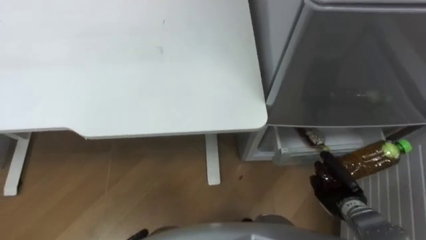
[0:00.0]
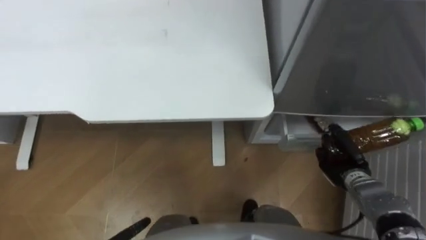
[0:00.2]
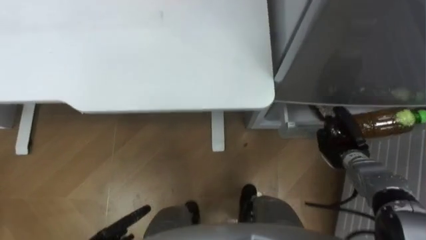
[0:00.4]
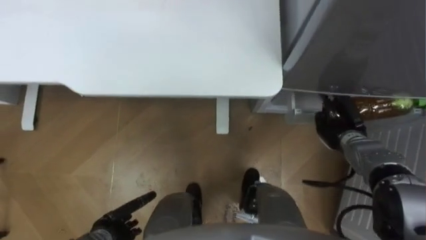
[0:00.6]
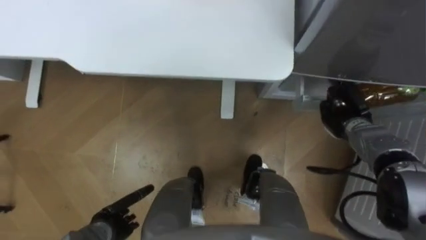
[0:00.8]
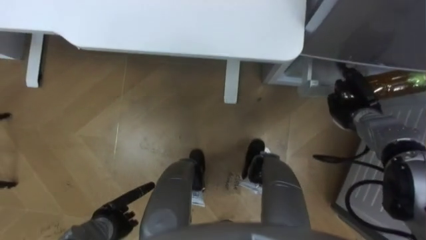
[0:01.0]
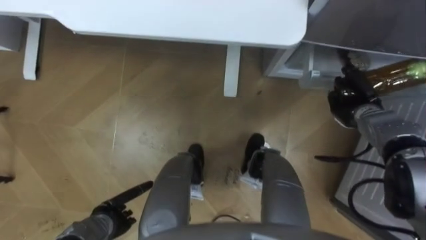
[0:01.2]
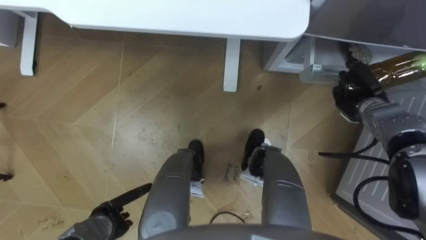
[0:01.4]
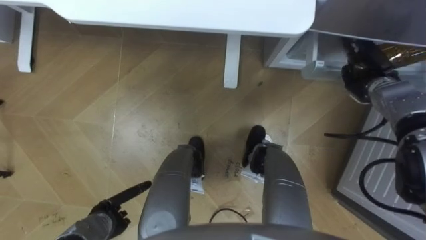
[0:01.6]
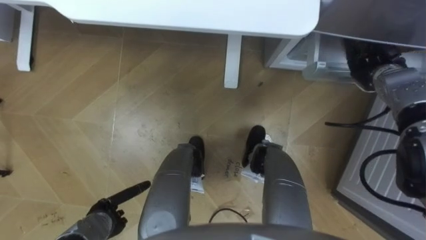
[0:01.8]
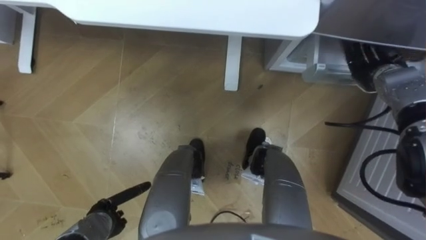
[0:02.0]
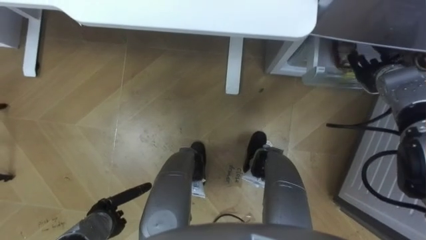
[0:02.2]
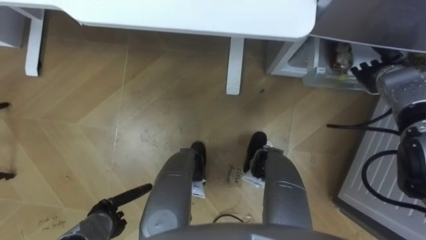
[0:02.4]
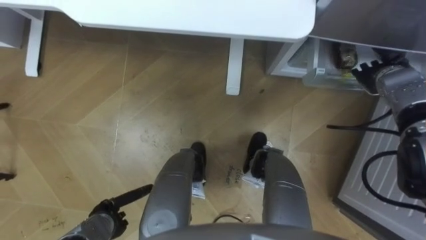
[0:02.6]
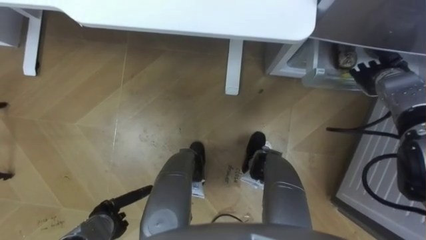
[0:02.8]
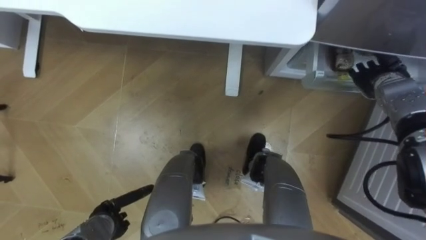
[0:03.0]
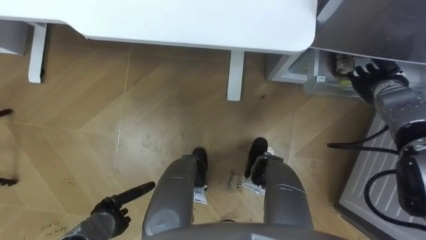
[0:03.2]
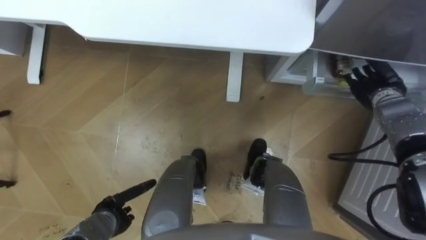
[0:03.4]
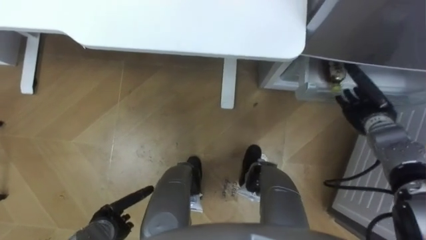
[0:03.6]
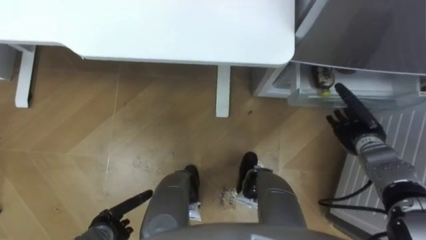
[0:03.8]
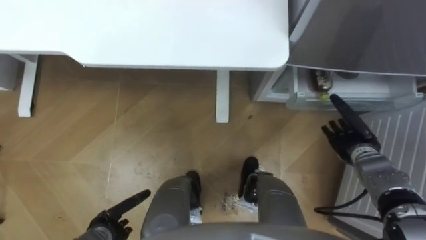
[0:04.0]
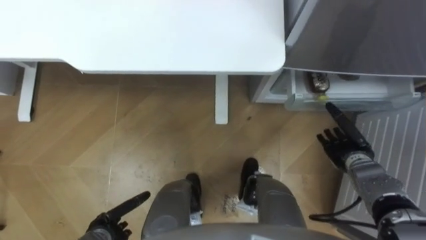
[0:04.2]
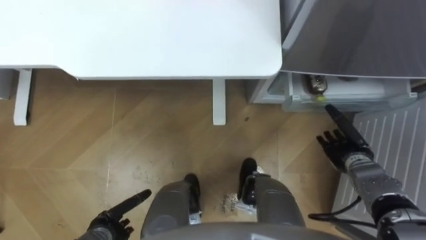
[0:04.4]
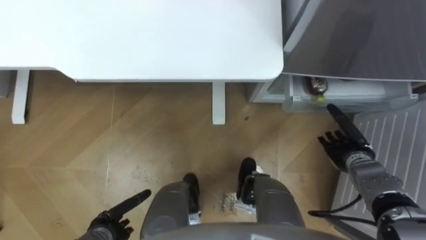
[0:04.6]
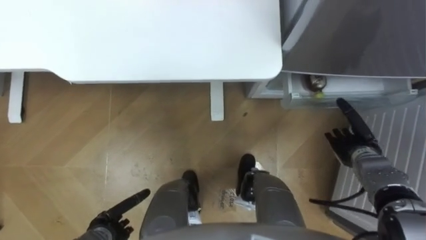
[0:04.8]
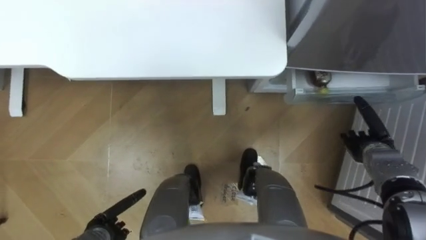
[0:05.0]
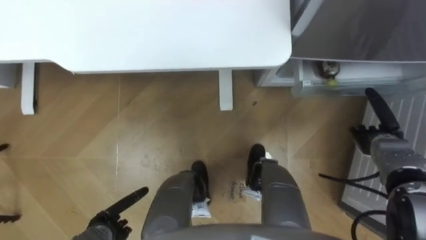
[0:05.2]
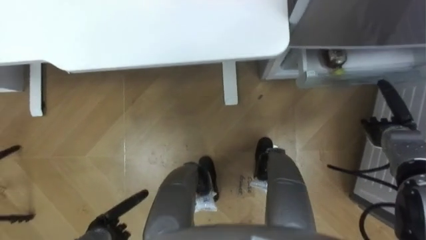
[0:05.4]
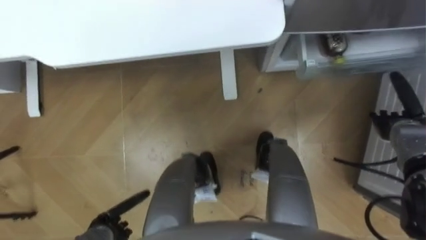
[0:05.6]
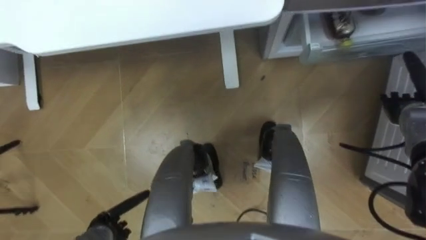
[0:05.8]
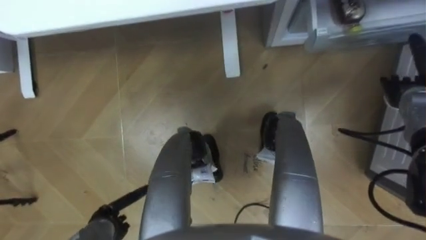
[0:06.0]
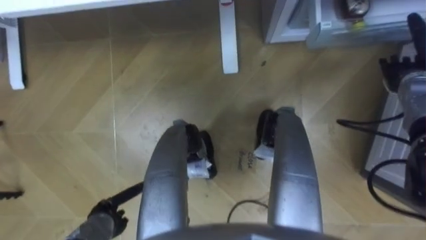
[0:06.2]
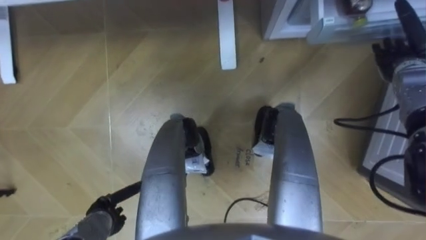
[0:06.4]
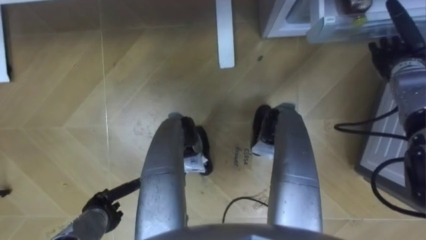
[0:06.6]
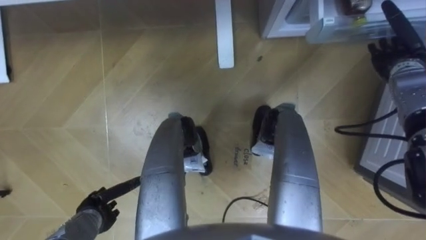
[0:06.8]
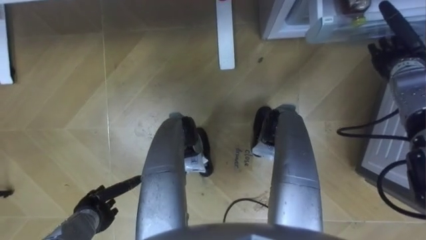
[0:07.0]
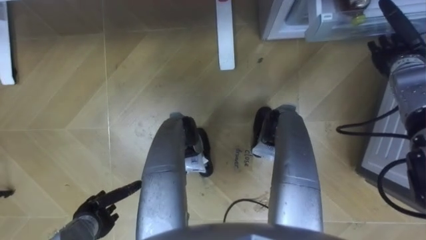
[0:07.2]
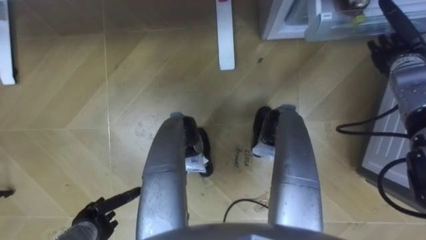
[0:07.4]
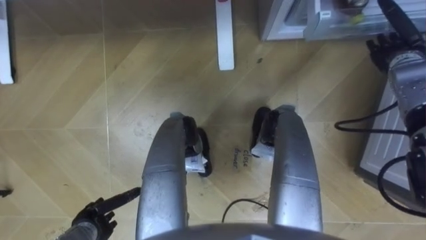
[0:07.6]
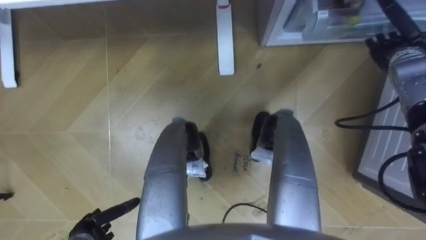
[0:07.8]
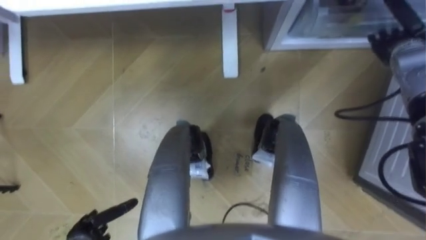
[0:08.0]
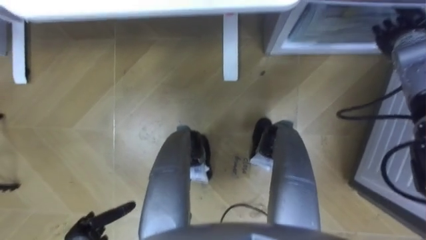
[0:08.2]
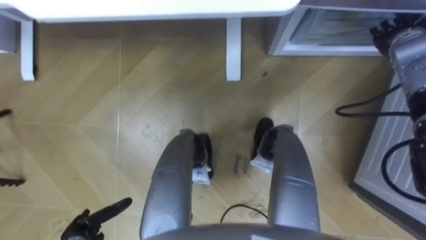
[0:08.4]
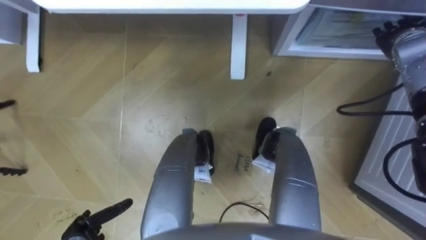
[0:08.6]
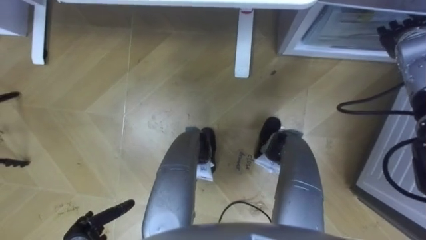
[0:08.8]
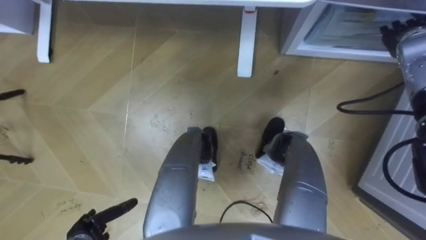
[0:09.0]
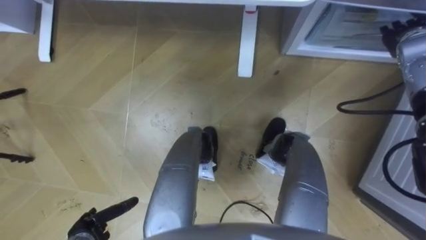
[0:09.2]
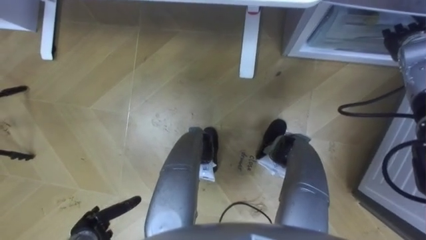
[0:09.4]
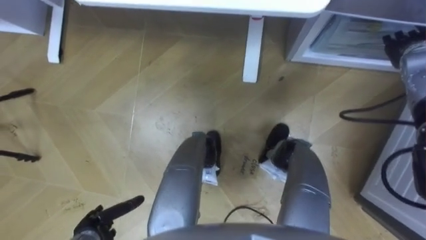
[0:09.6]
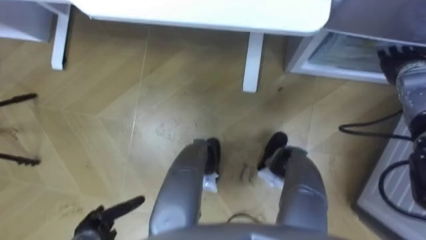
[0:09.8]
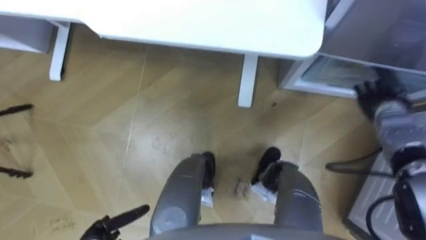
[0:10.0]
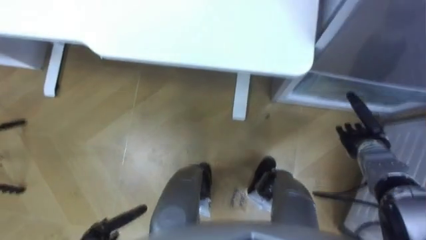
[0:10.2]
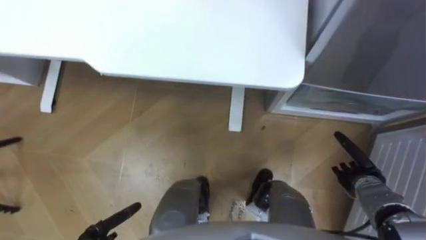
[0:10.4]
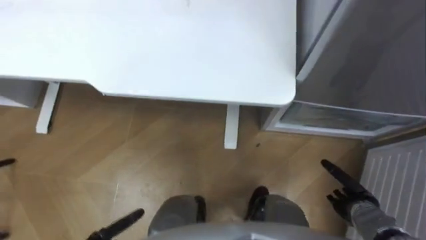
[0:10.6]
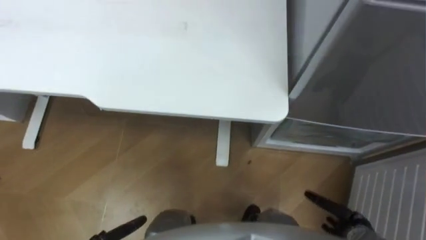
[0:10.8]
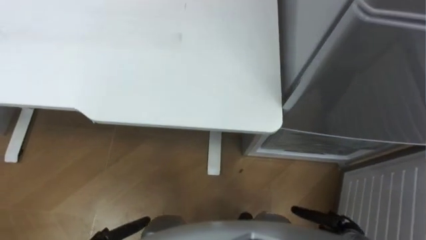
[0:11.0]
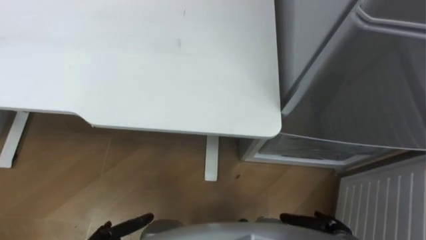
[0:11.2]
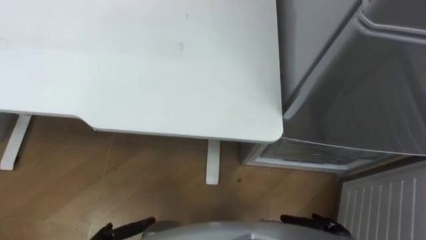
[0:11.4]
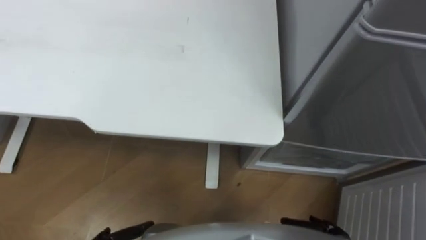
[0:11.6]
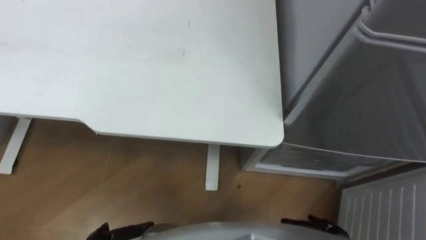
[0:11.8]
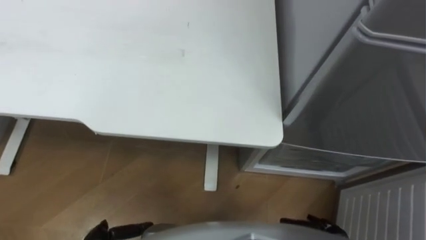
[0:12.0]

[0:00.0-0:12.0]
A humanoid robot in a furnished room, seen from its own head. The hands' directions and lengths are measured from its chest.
Task of the whole recording: Place the drink on the table on the bottom shelf of the refrigerator, then close the drawer and the refrigerator door.
0:00.0 to 0:01.6: The right hand travels forward and upward by some 25 cm.
0:01.6 to 0:03.0: The right hand opens up.
0:03.0 to 0:04.4: The right hand goes about 15 cm backward and downward.
0:04.4 to 0:06.0: The right hand goes approximately 15 cm upward, forward and to the right.
0:06.0 to 0:07.6: The right hand moves forward and upward, some 10 cm.
0:09.0 to 0:10.4: The right hand is displaced downward and backward by some 30 cm.

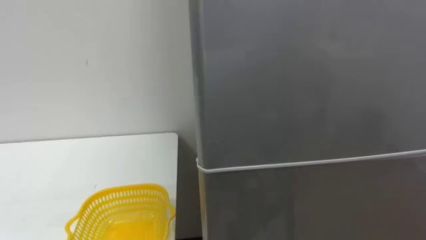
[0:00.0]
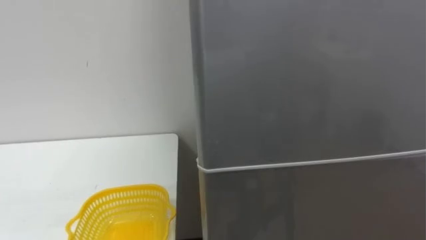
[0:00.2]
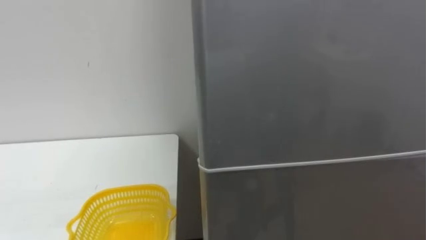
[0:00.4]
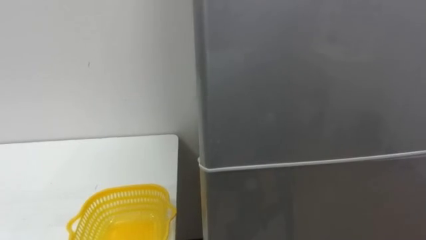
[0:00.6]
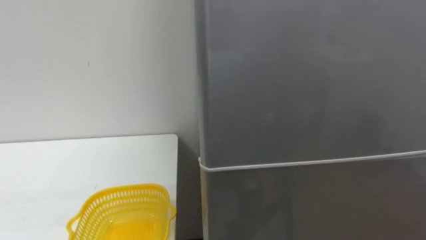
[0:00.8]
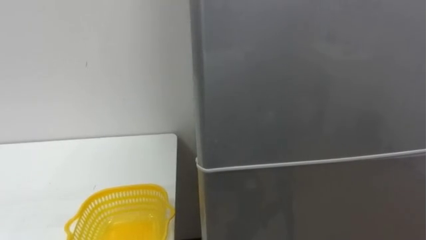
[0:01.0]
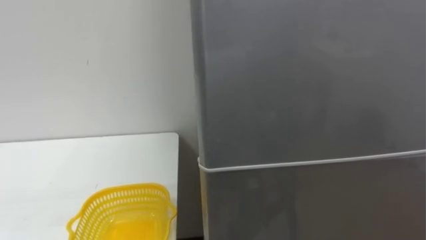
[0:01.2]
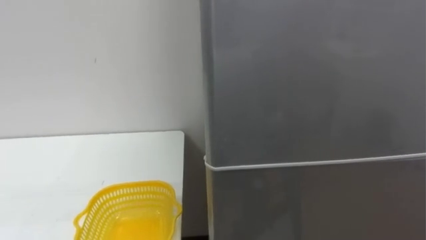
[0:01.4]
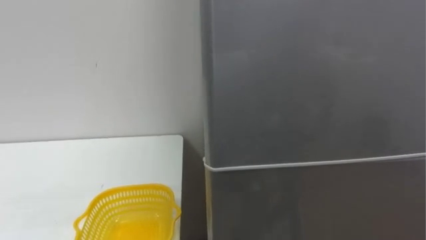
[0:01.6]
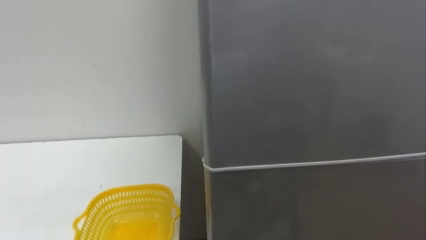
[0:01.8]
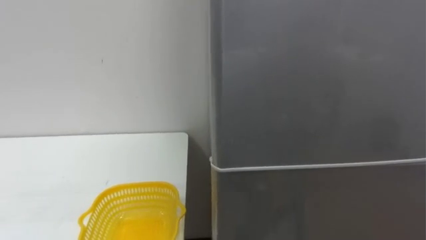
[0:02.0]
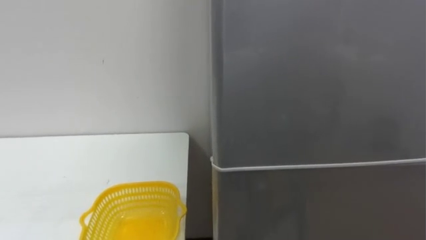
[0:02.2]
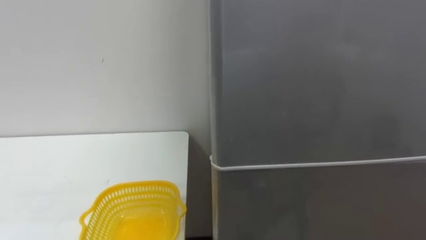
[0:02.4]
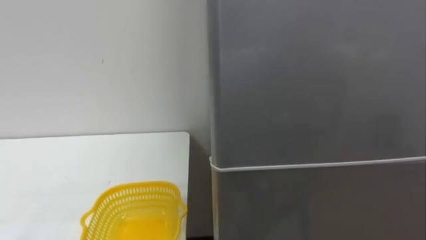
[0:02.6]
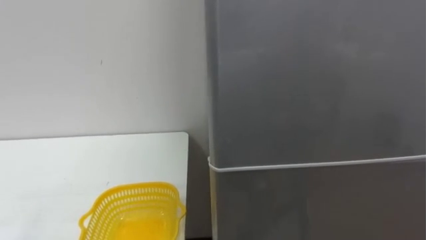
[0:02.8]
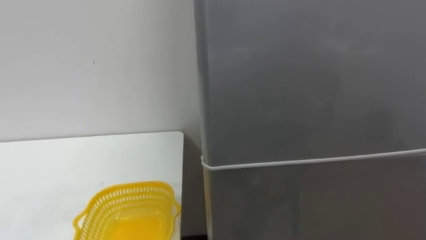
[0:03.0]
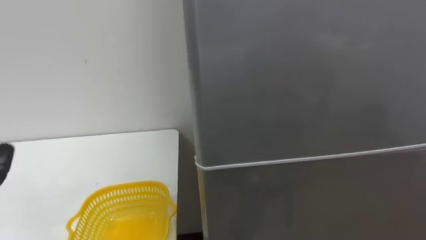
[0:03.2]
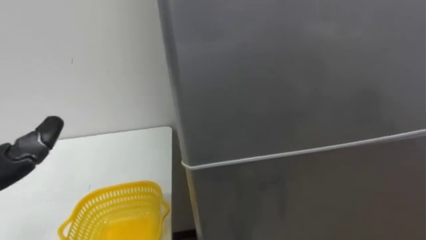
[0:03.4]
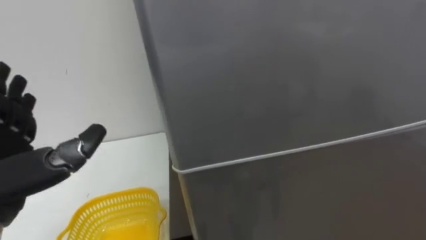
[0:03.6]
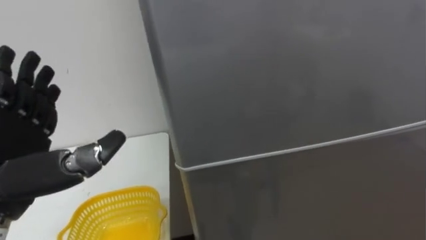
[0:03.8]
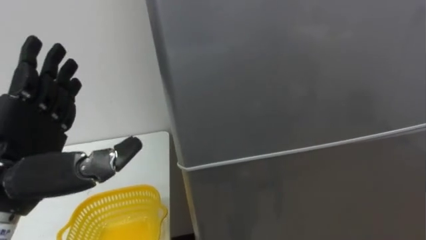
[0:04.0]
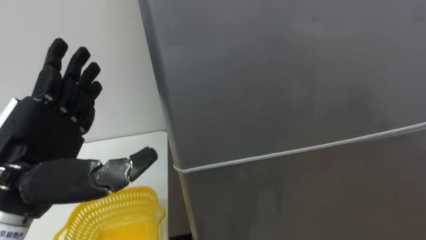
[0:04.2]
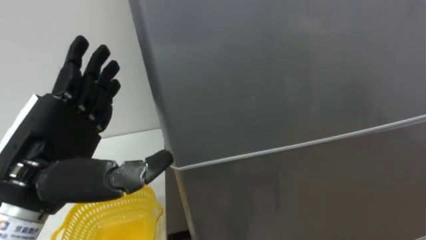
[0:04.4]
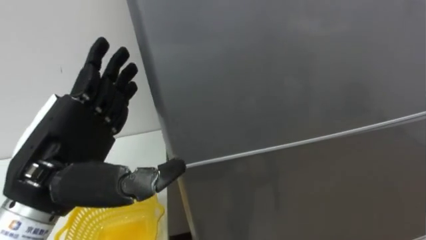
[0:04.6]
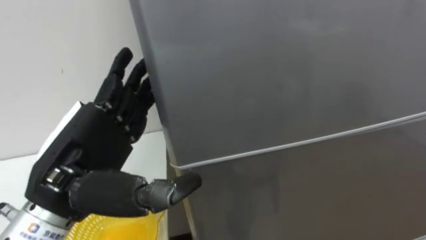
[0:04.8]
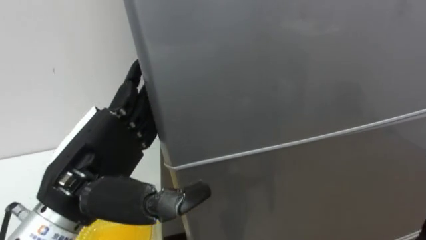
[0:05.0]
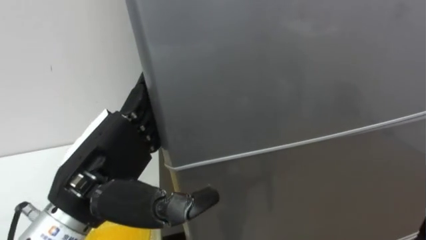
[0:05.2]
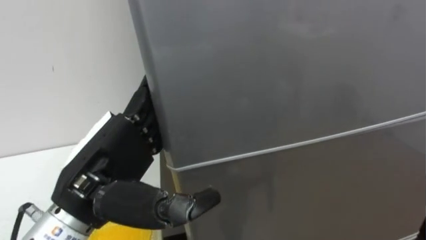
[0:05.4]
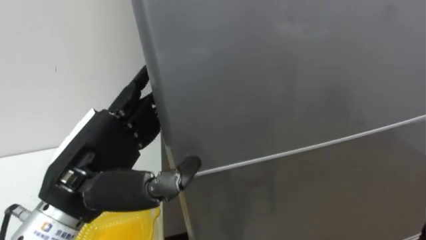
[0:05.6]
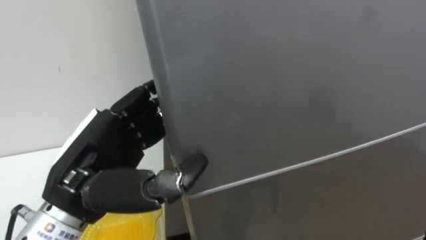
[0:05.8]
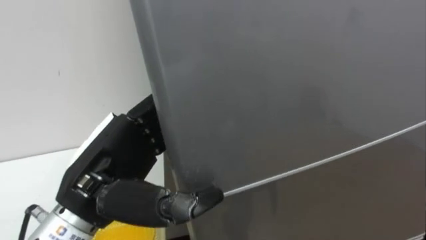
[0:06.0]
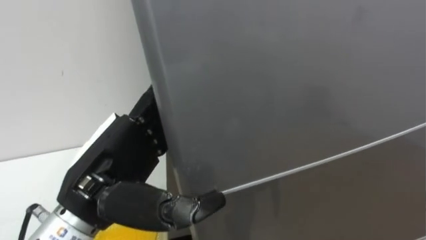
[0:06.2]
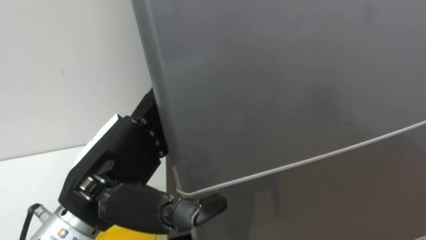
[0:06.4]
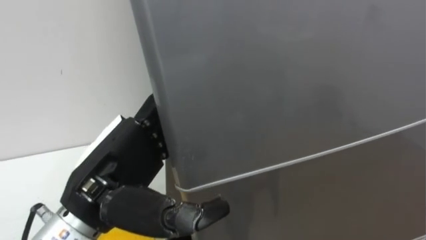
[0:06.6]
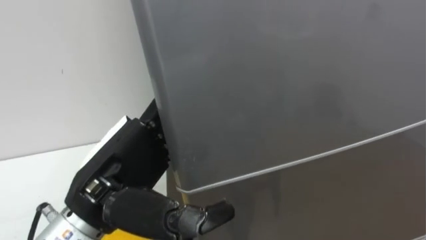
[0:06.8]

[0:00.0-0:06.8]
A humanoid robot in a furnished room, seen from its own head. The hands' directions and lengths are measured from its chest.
Task of the whole recording: Open the refrigerator door, take out the apple and the pomegranate, place them in the fruit basket on the left, and close the refrigerator door.
0:04.0 to 0:05.4: The left hand moves to the right, about 10 cm.
0:05.4 to 0:06.8: The left hand closes, then opens again.
